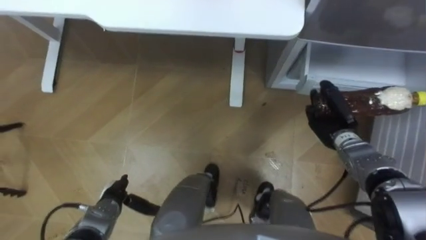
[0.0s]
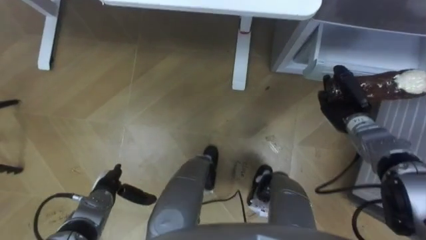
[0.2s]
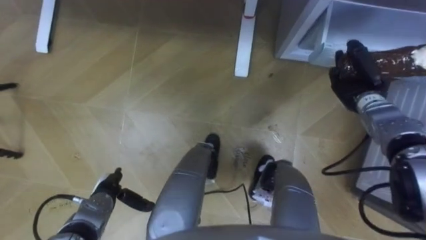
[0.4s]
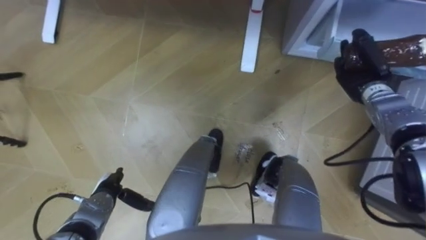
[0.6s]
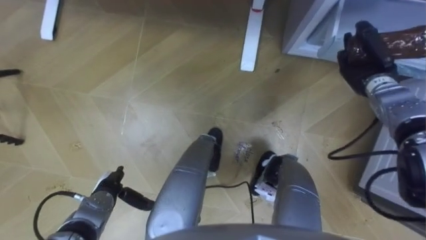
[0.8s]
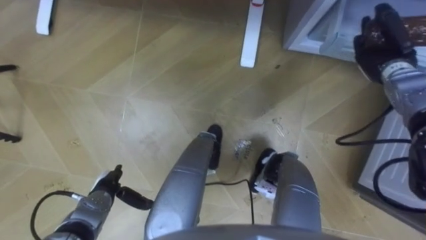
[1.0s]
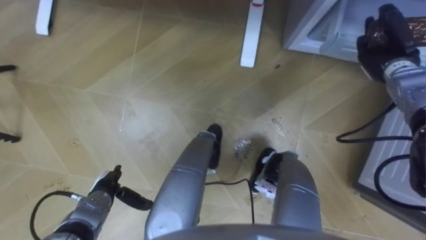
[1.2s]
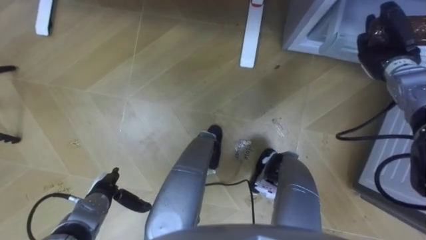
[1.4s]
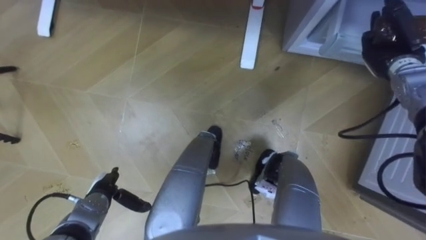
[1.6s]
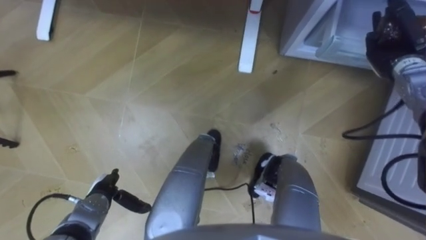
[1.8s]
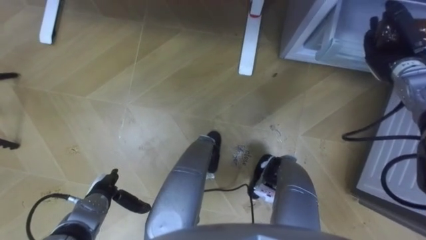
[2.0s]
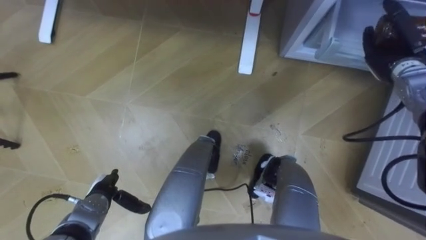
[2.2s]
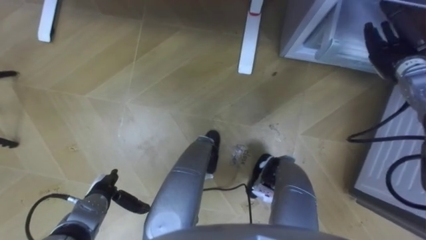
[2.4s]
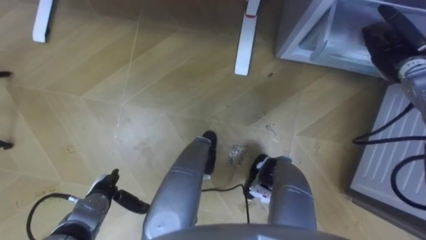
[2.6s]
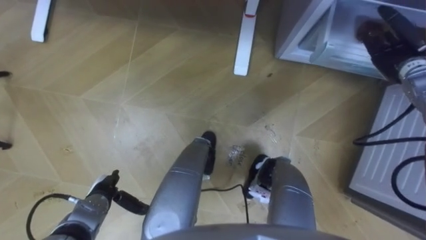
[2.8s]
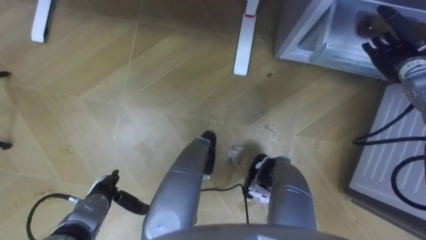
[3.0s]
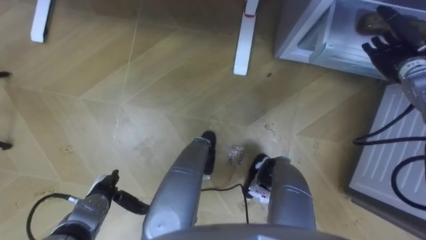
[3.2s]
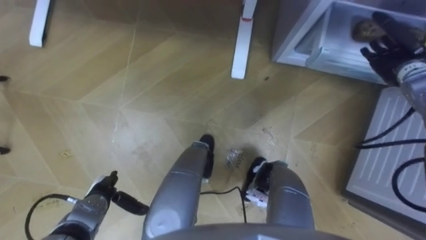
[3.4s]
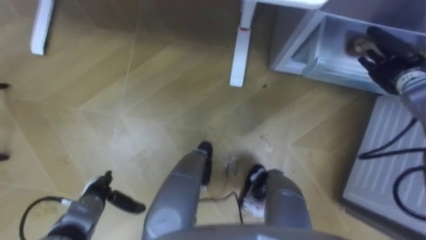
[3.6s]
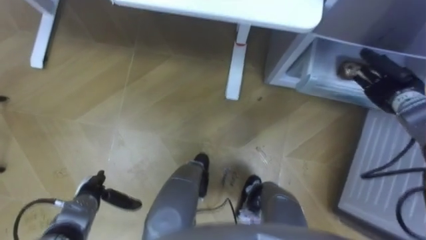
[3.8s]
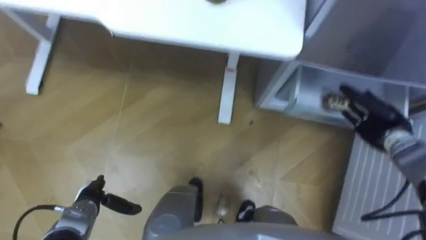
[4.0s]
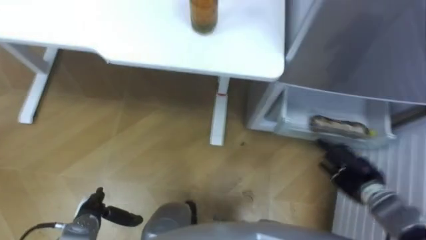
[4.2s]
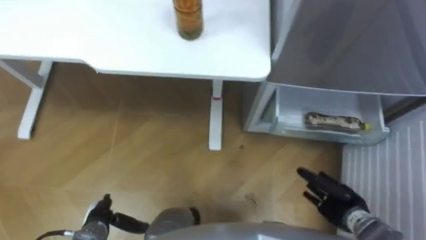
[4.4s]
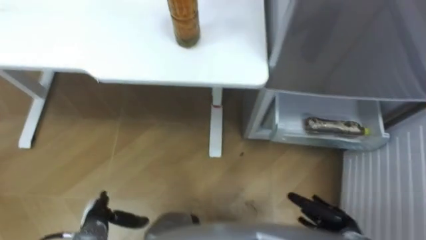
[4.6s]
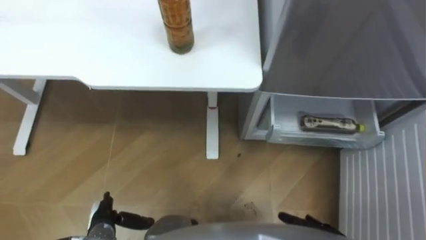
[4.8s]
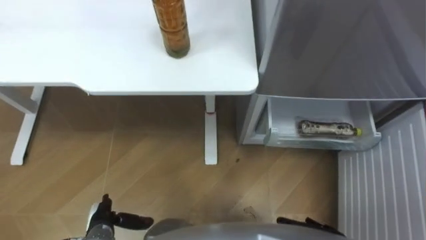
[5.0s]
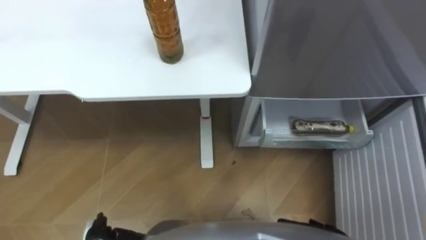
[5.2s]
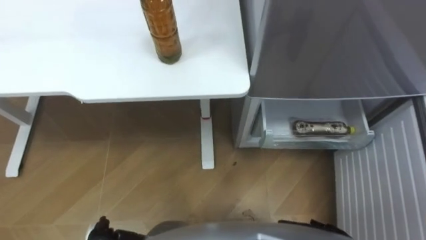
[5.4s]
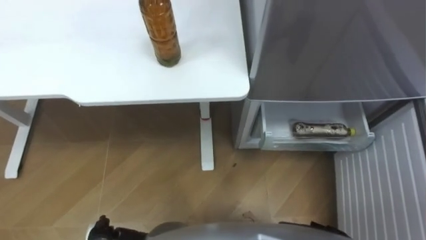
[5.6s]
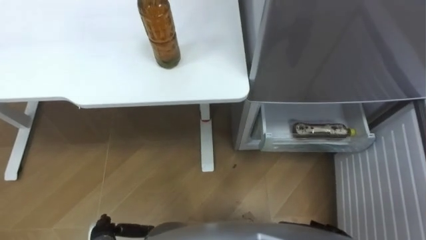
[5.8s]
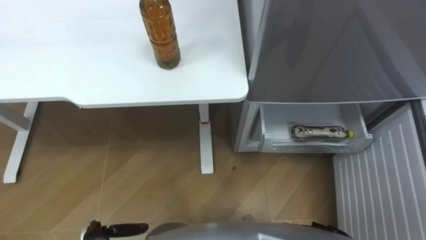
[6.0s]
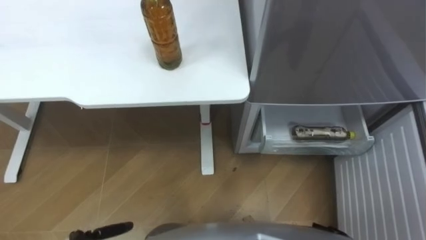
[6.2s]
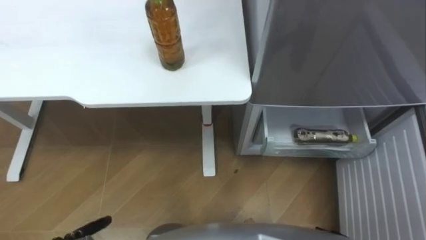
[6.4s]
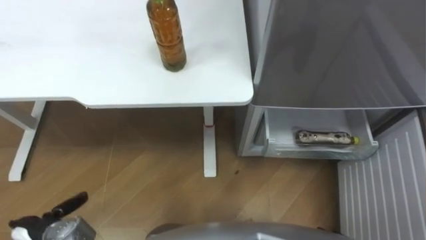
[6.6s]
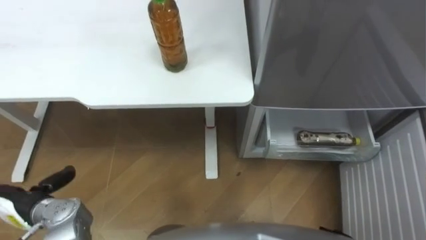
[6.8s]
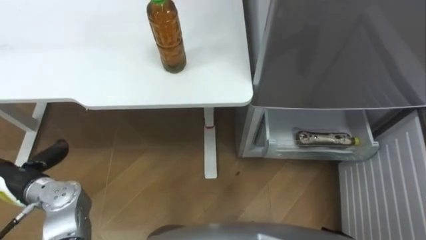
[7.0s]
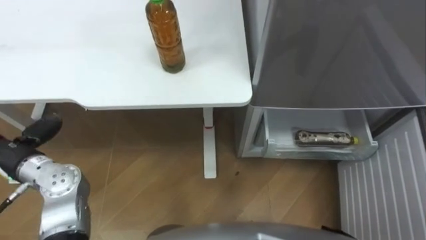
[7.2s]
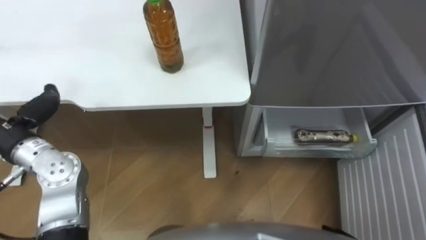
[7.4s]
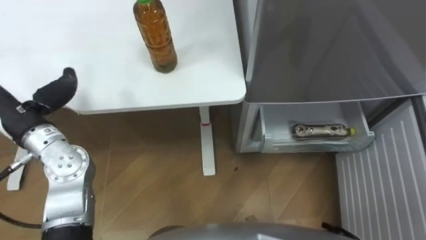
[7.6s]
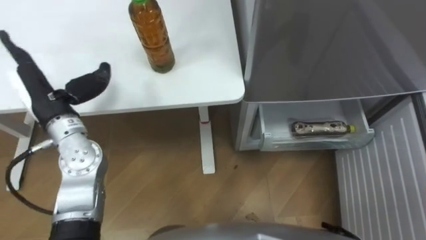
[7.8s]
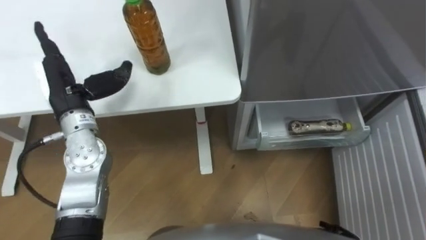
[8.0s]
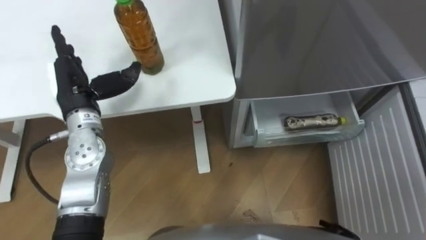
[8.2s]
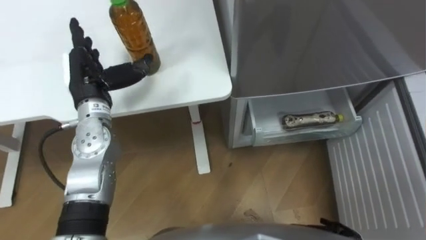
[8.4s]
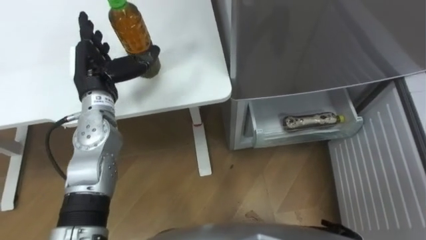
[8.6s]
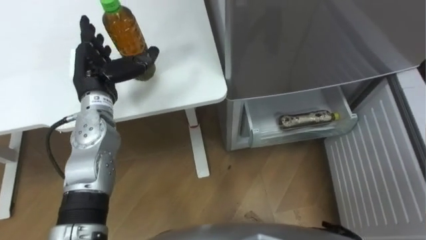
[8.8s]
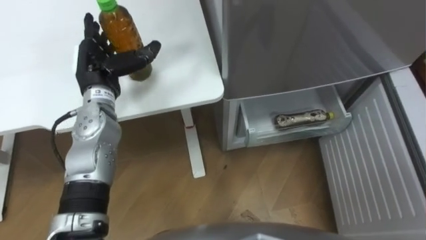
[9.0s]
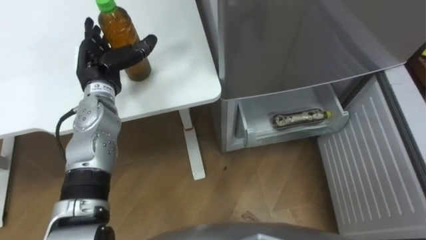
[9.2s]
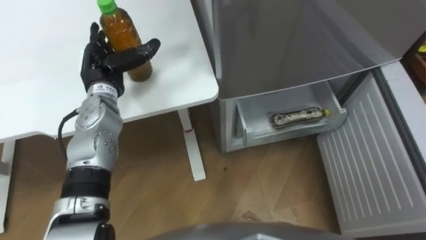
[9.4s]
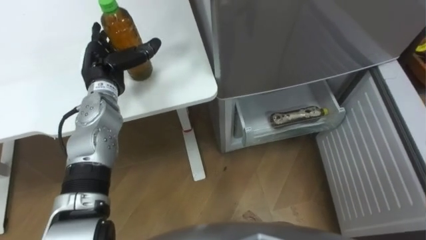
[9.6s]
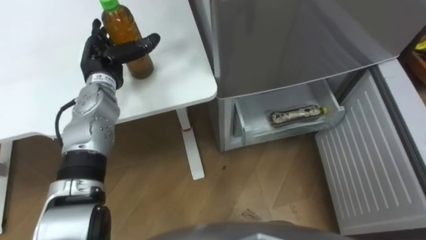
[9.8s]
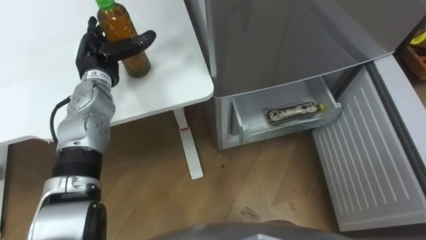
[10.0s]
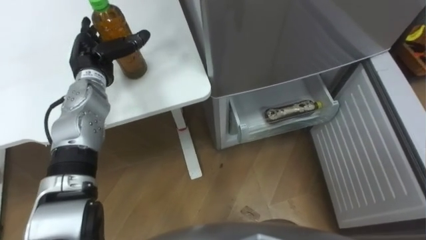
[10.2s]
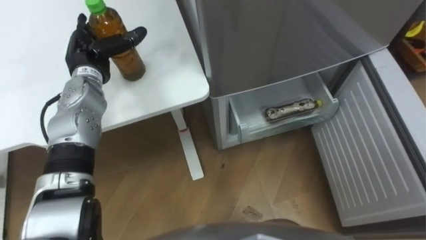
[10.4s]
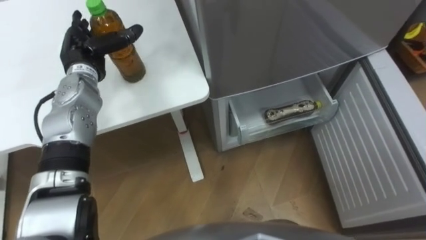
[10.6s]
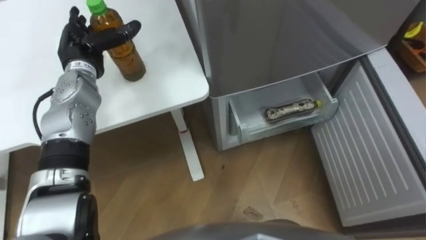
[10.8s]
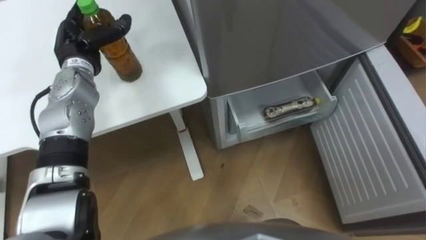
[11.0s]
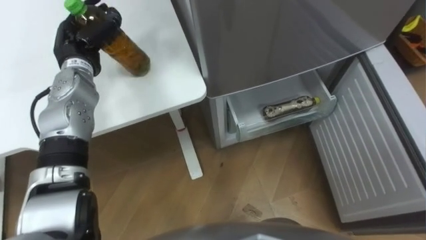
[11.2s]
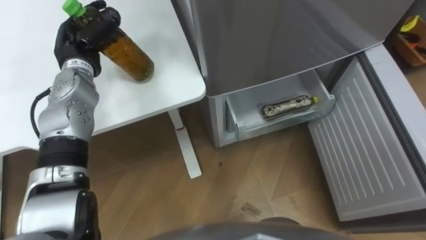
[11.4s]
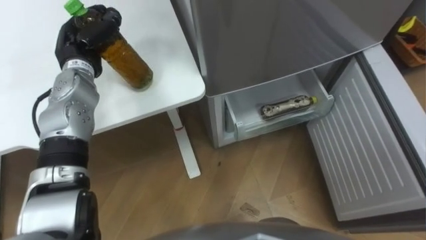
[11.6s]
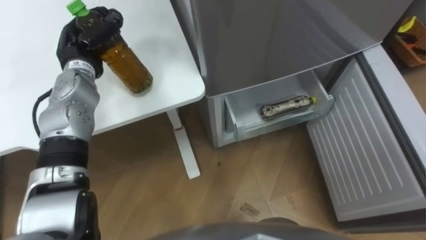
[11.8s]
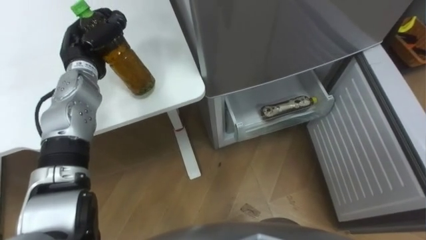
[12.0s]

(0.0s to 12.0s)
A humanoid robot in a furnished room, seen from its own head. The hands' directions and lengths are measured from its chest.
Task of the whole recording: Place the drink on the table on the bottom shelf of the refrigerator, then close the drawer and the refrigerator door.
0.0s - 1.6s: The right hand goes some 20 cm upward, forward and to the right.
1.6s - 3.0s: The right hand opens up.
3.0s - 4.4s: The right hand travels backward and downward by about 30 cm; the left hand moves roughly 5 cm.
7.6s - 9.0s: The left hand travels to the right and forward by some 15 cm.
10.4s - 12.0s: The left hand closes its fingers.

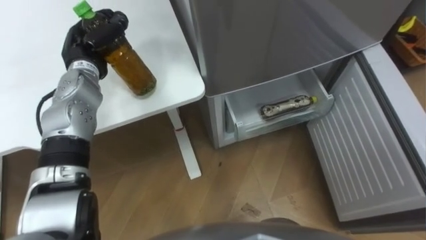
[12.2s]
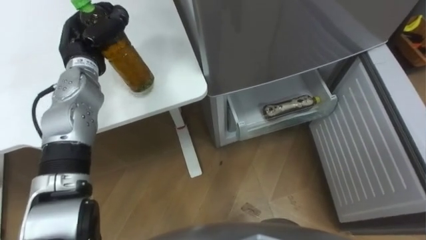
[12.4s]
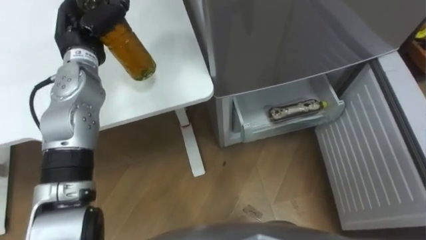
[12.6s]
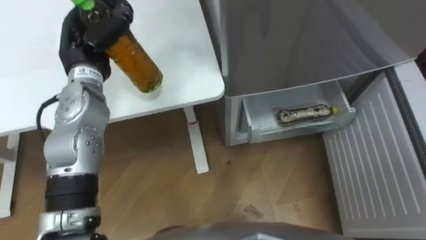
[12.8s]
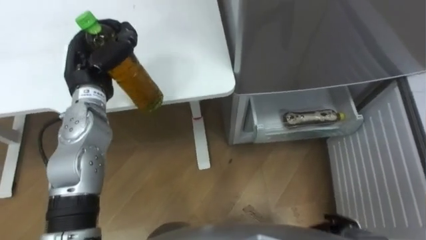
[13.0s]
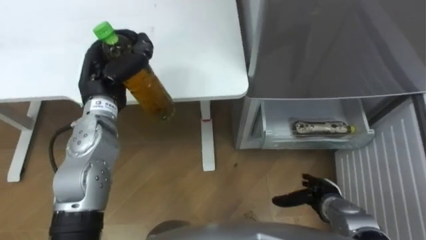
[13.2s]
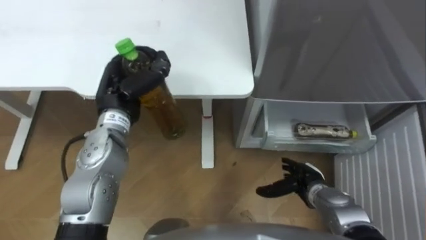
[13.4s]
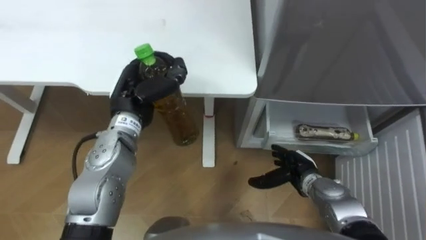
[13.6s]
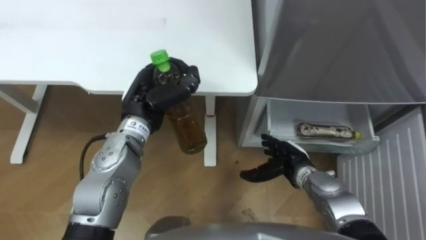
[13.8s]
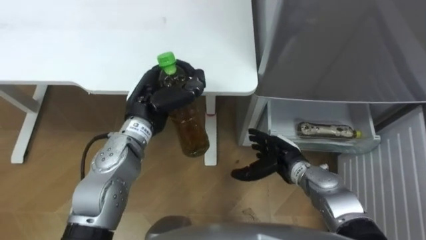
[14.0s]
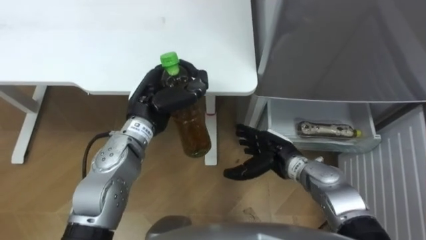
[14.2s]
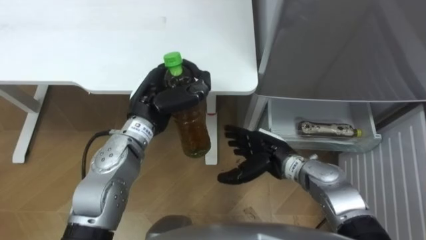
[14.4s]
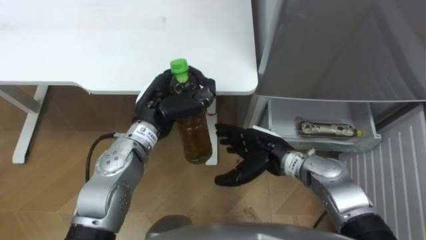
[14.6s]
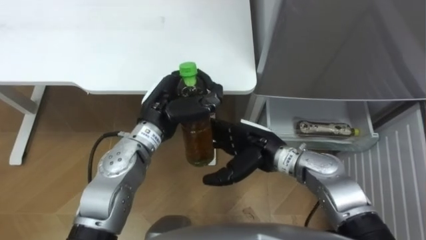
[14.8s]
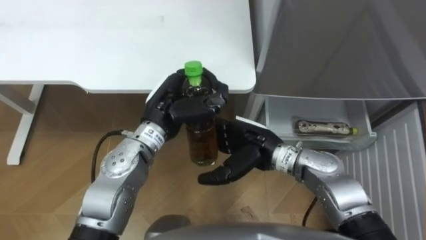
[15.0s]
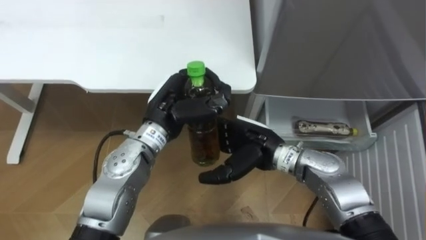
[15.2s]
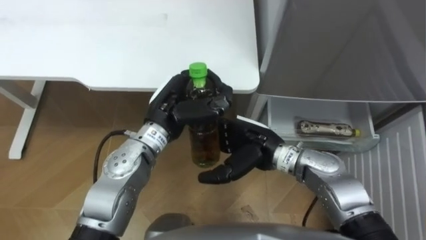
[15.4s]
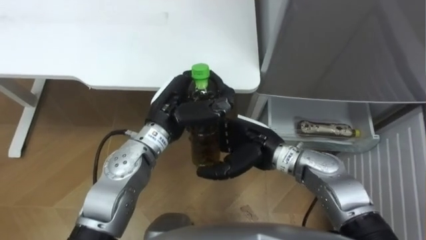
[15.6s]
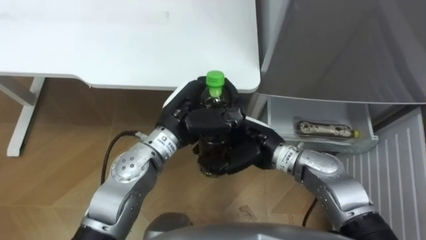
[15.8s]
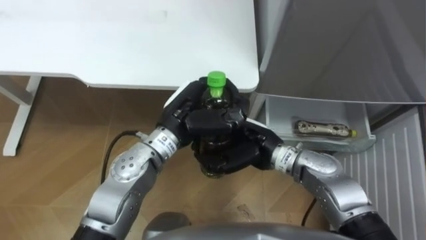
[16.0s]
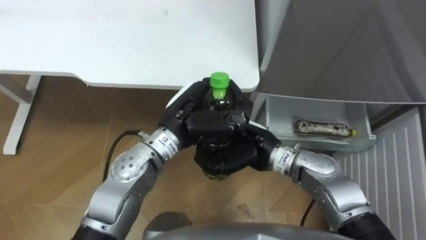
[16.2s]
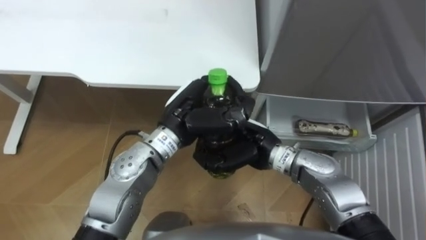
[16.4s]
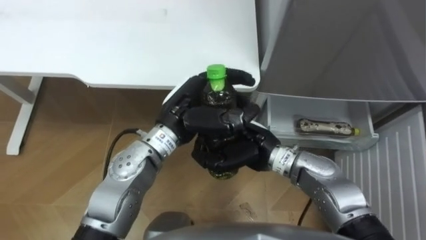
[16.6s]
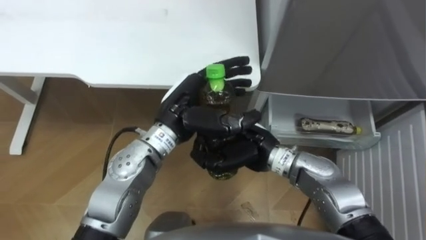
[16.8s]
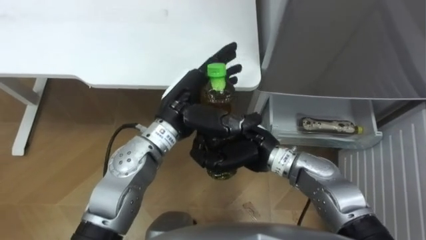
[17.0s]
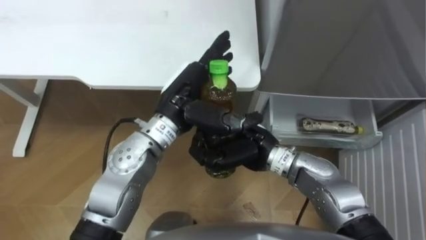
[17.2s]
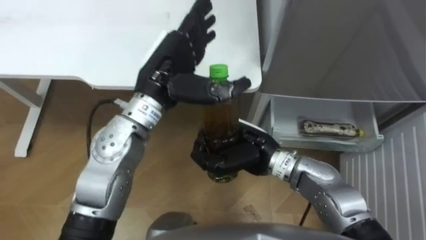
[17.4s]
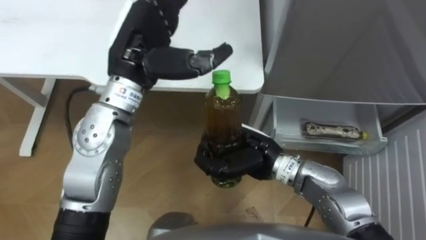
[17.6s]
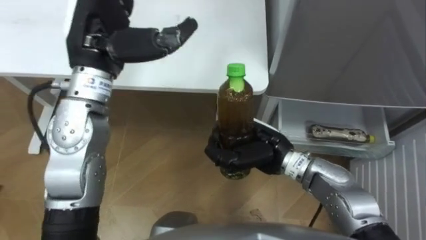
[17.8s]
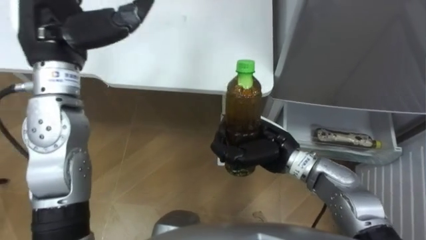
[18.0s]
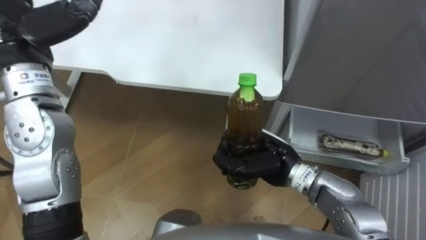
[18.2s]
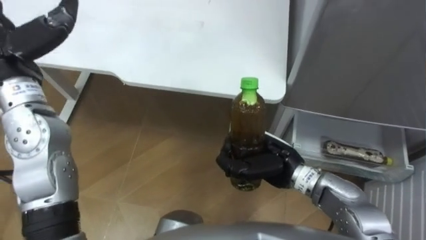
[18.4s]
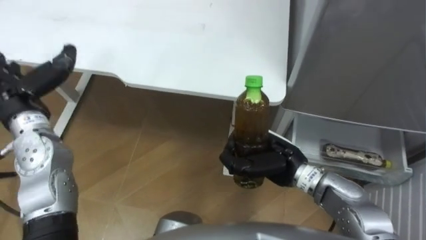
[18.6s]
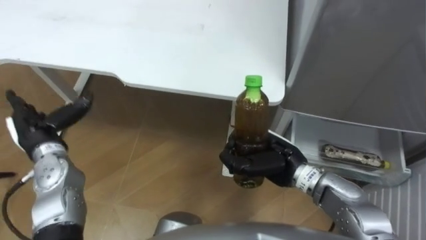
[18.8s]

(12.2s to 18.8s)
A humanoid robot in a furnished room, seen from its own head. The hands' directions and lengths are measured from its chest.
Task of the whole recording: Place the drink on the table on the bottom shelf of the refrigerator, then close the drawer and the refrigerator door.
12.2s - 13.8s: The left hand goes approximately 15 cm to the right and backward.
13.8s - 15.4s: The right hand moves upward and to the left, approximately 15 cm, while the left hand travels to the right by about 5 cm.
15.4s - 17.2s: The right hand closes up, while the left hand opens.
17.2s - 18.8s: The right hand travels to the right by about 5 cm.
